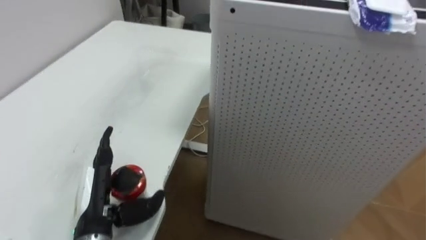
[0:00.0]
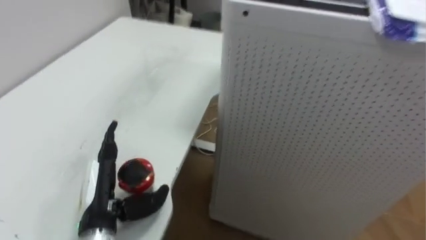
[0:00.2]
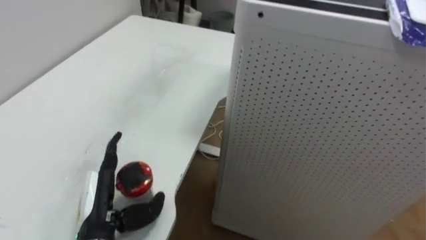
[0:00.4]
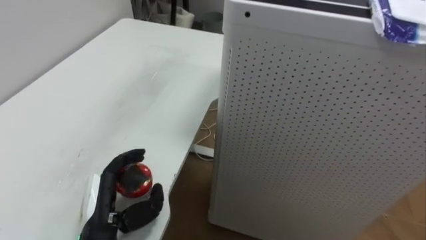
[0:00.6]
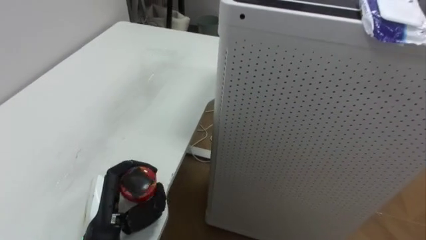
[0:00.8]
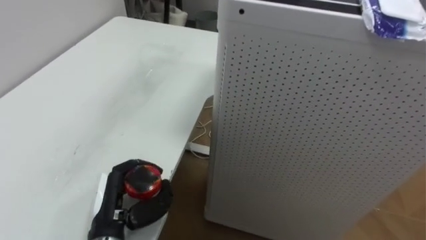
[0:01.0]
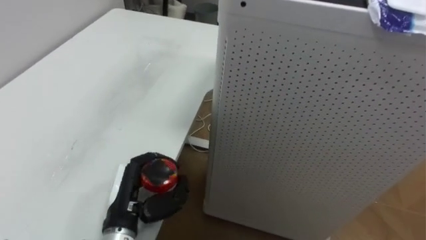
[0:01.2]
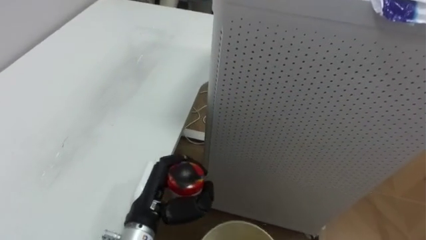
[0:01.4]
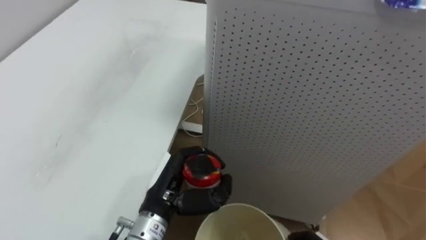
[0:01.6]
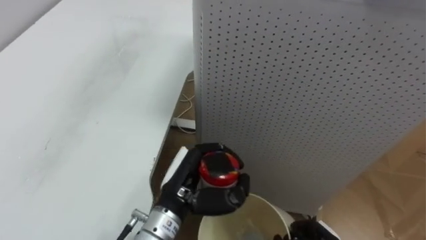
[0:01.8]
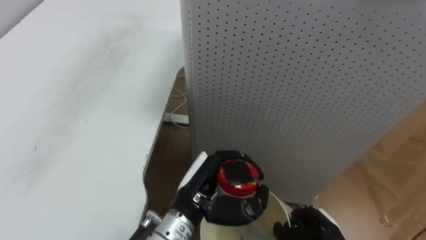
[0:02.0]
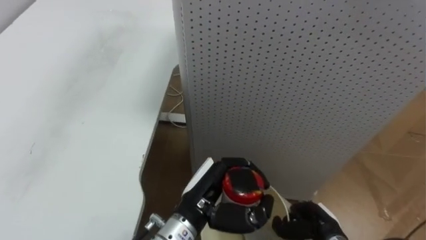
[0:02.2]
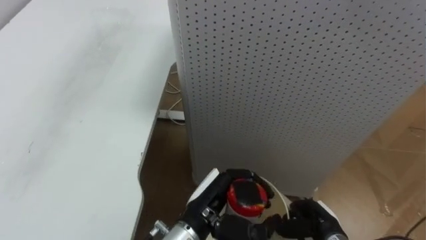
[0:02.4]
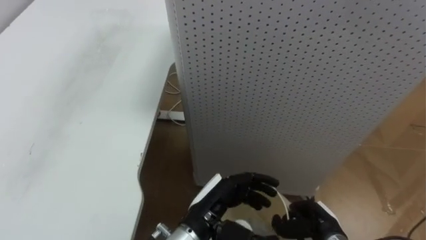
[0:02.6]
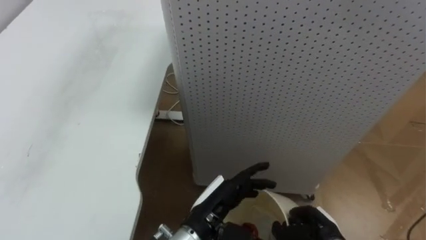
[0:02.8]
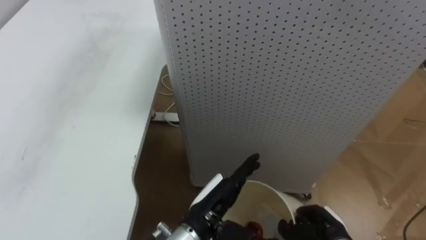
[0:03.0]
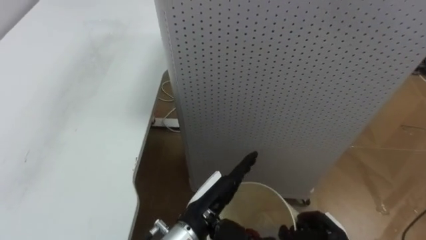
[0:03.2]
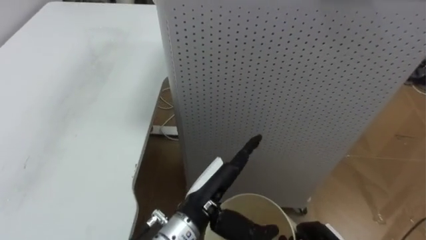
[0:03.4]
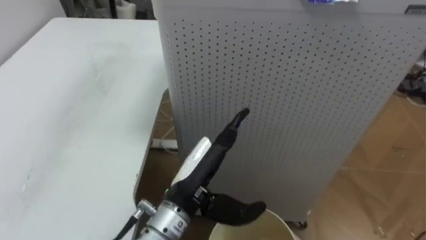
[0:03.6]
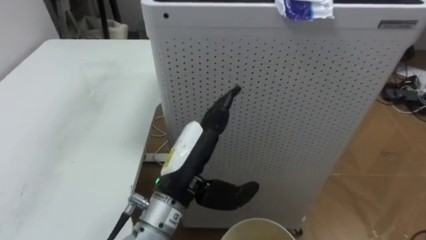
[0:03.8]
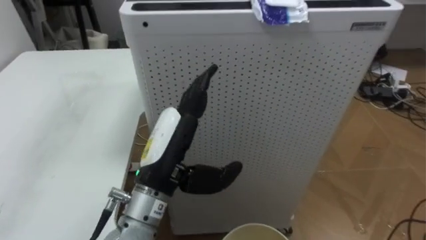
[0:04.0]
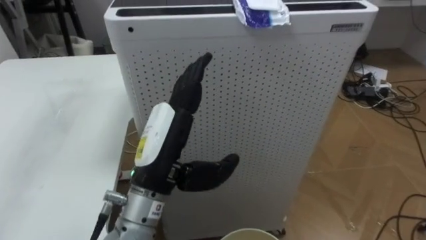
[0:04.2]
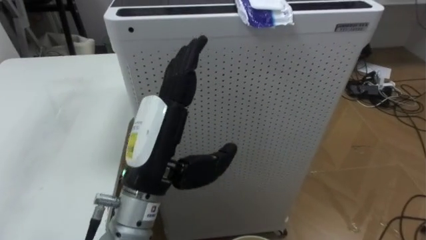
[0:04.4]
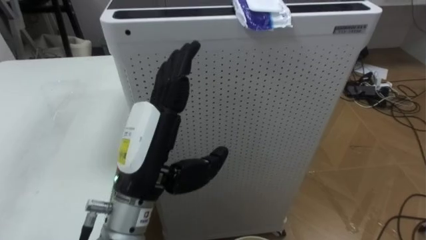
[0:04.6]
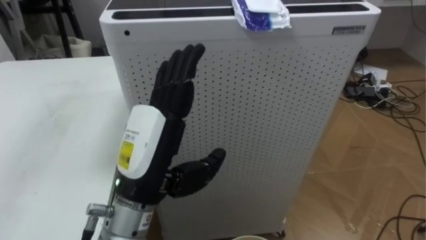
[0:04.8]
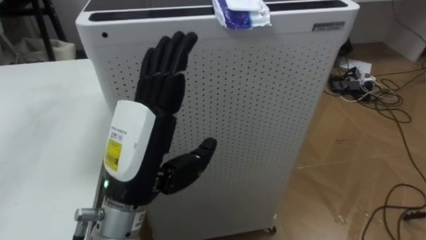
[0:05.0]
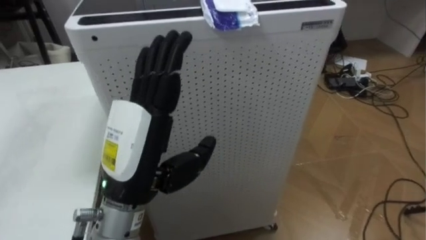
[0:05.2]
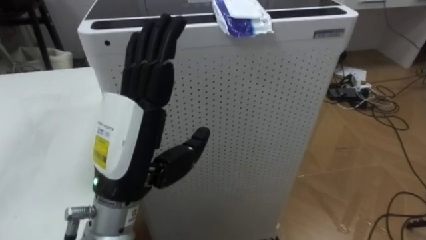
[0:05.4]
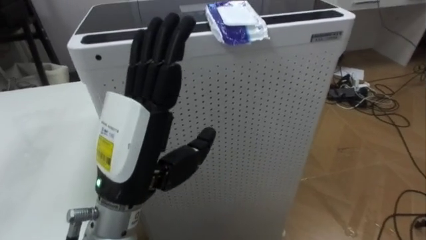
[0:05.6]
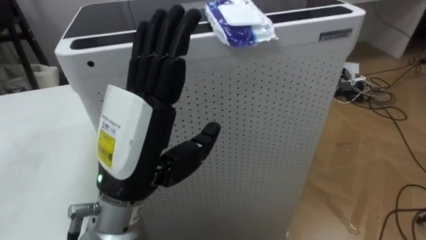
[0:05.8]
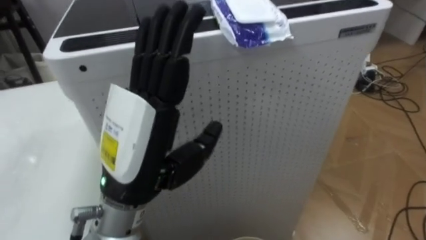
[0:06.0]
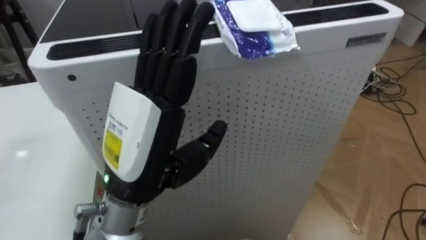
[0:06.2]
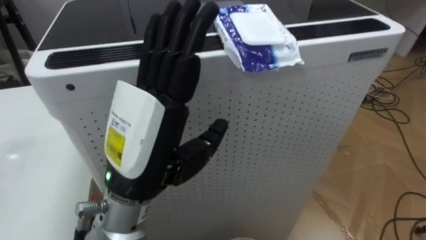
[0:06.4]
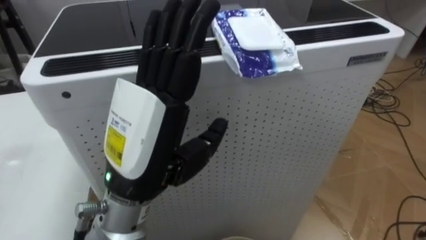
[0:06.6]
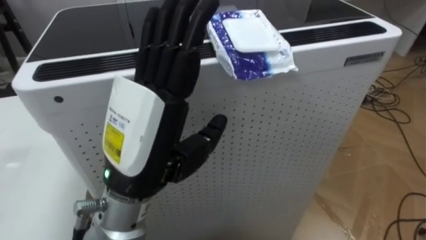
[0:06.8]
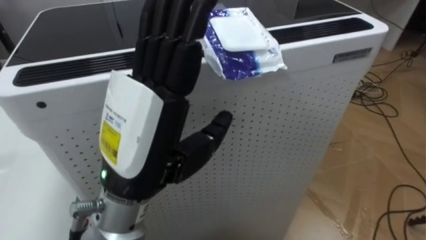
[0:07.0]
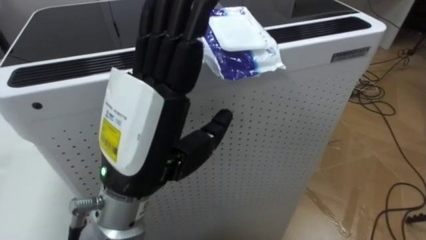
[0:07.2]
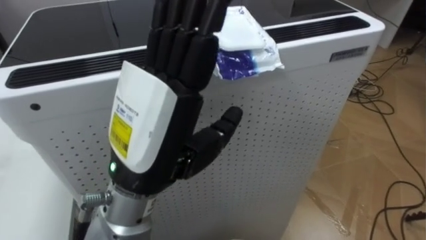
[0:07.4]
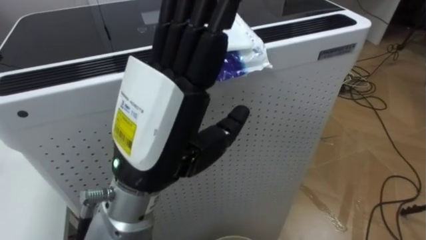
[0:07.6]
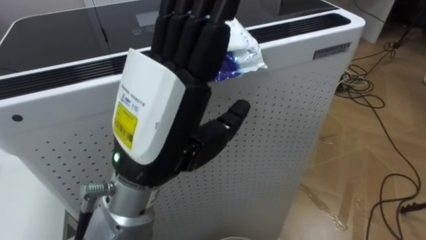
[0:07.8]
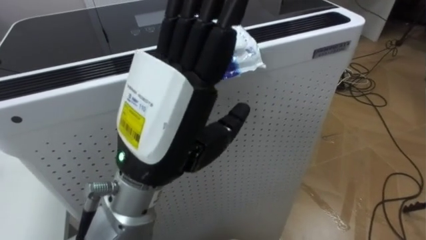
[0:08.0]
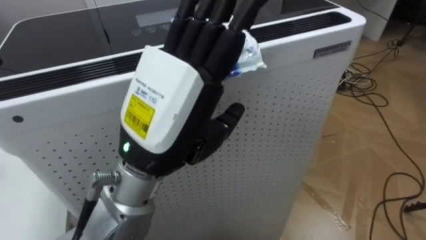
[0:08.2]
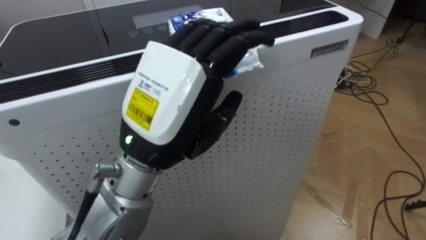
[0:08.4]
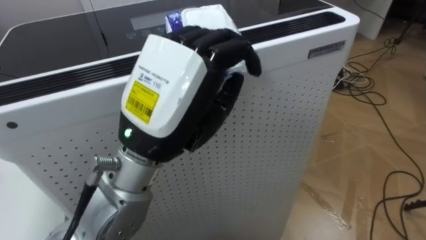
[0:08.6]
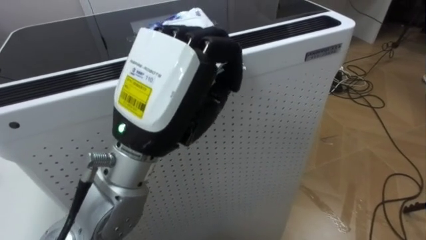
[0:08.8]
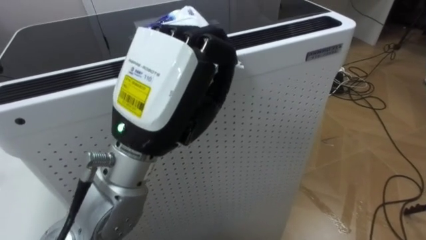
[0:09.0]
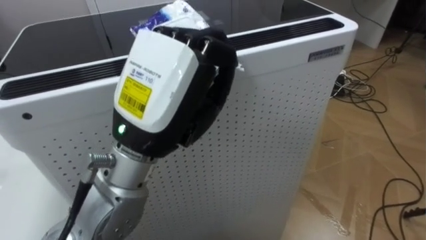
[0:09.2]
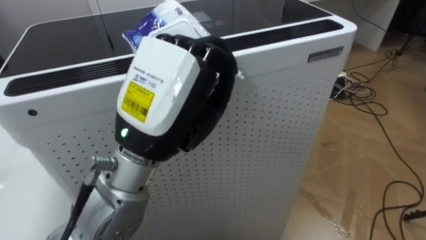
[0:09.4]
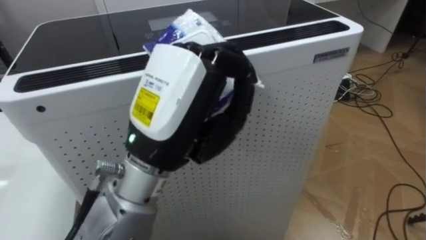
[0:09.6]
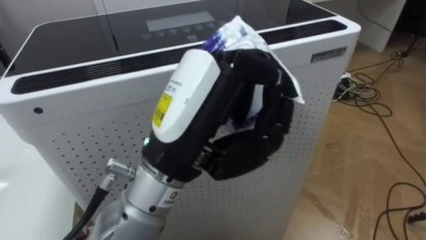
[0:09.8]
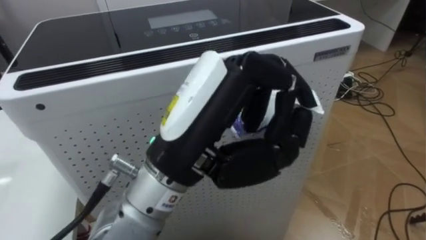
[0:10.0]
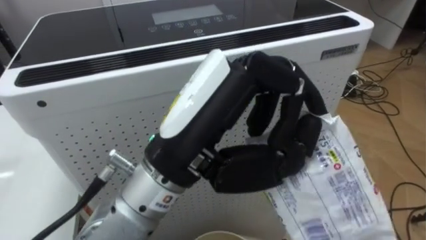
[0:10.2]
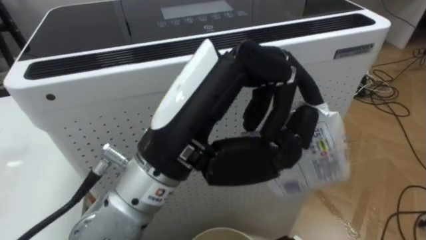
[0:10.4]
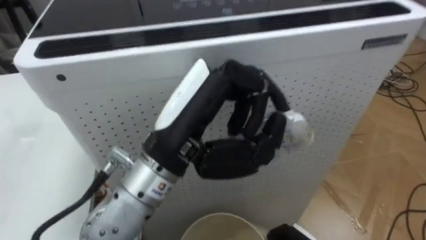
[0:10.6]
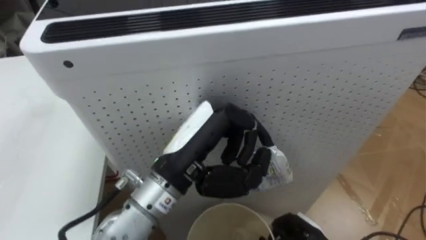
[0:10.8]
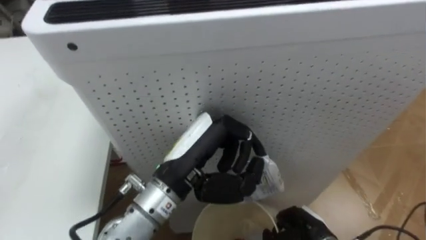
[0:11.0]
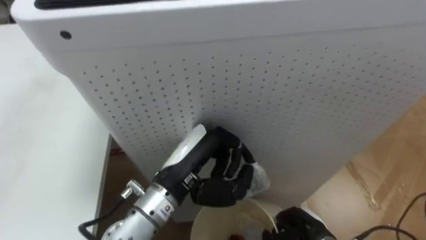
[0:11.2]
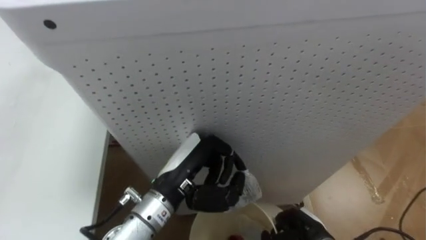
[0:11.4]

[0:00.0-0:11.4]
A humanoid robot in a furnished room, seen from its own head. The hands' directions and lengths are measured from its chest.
Task of the whole recording: Pick up the light blue package, the candy box, and the dark blue package separately, and put them into the trash can held in your right hand.
0:00.0 to 0:01.4: The left hand heads to the right, covering approximately 10 cm, and closes.
0:01.4 to 0:02.8: The left hand moves to the right, approximately 10 cm, and opens up.
0:02.8 to 0:04.2: The left hand heads upward and to the left, covering roughly 15 cm.
0:04.2 to 0:05.6: The left hand changes place by some 5 cm.
0:07.2 to 0:08.6: The left hand closes.
0:08.6 to 0:10.0: The left hand closes.
0:10.0 to 0:11.4: The left hand goes some 20 cm downward and forward.

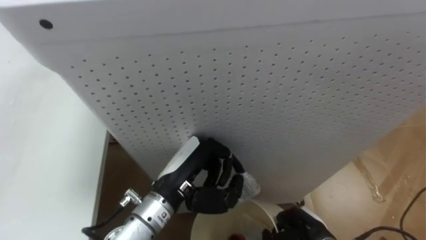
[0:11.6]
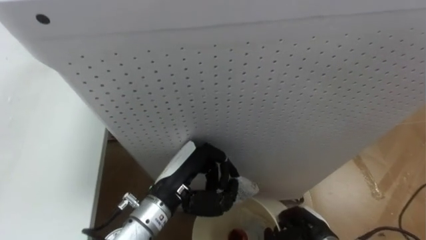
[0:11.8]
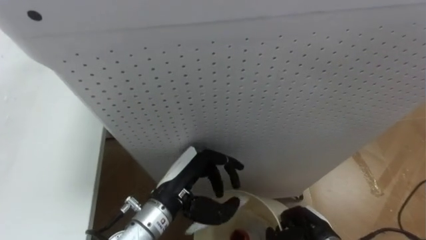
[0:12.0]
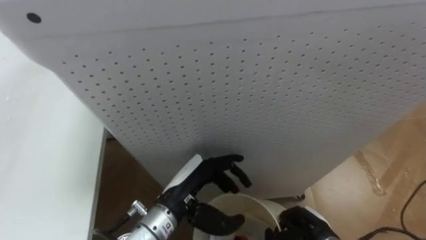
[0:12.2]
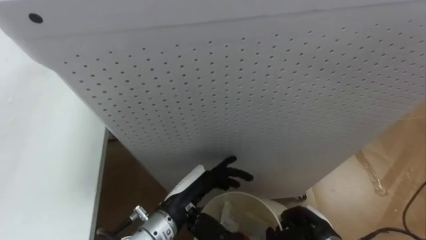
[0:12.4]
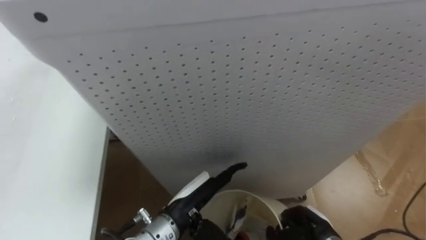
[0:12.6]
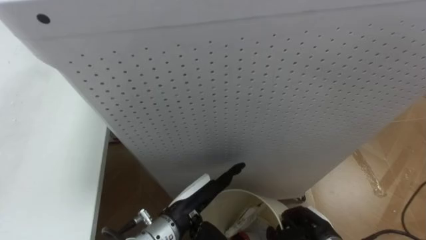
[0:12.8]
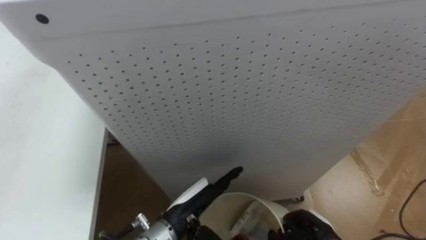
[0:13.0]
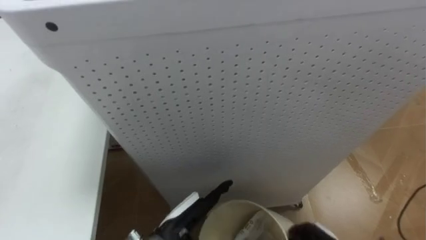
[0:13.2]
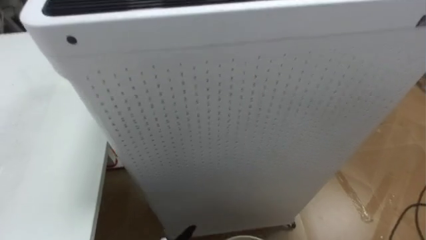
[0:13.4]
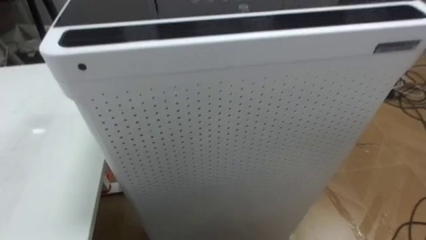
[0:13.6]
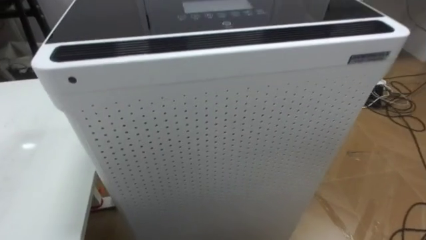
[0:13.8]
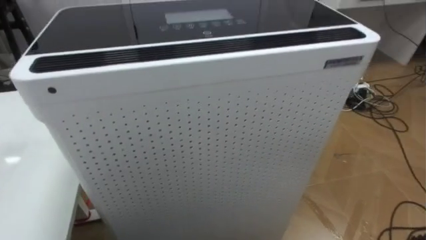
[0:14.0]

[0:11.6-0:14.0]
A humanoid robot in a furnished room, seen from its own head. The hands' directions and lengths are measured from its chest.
Task of the whole recording: Pick up the light blue package, the candy box, and the dark blue package separately, and put them into the trash can held in your right hand.
0:11.6 to 0:12.8: The left hand shifts about 5 cm downward, and opens up.

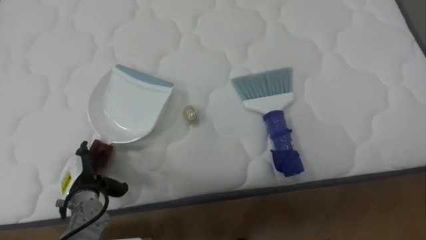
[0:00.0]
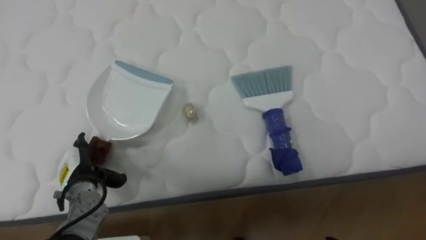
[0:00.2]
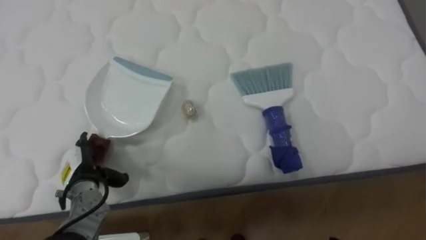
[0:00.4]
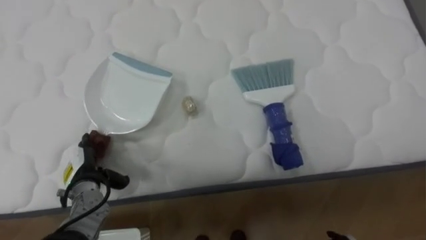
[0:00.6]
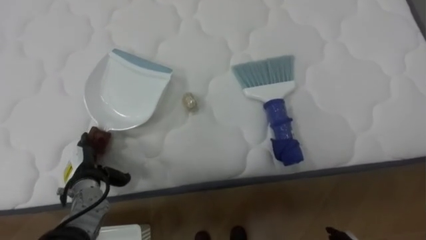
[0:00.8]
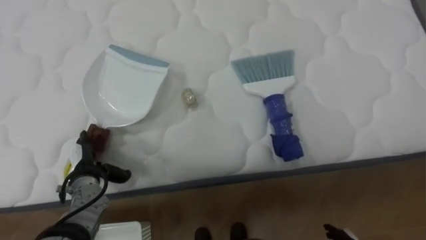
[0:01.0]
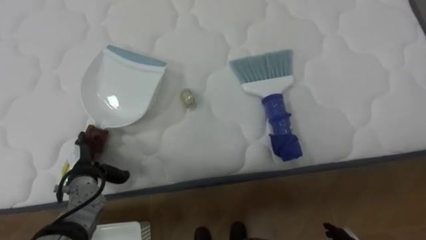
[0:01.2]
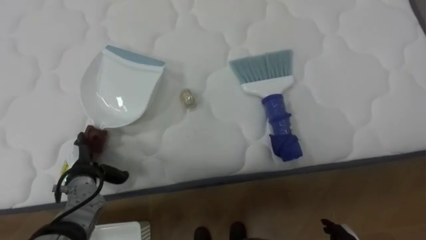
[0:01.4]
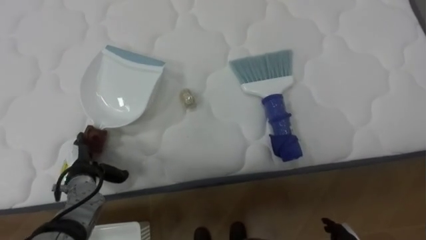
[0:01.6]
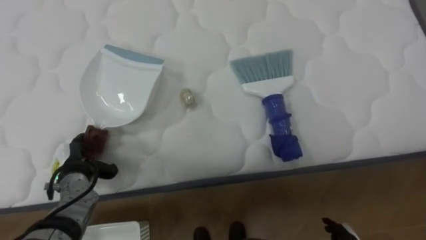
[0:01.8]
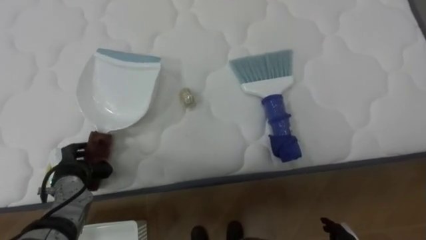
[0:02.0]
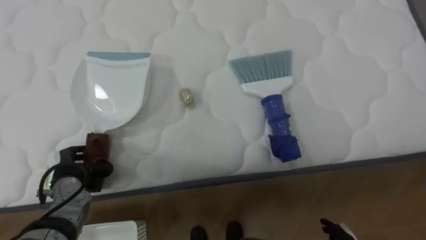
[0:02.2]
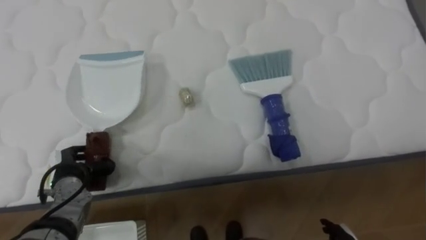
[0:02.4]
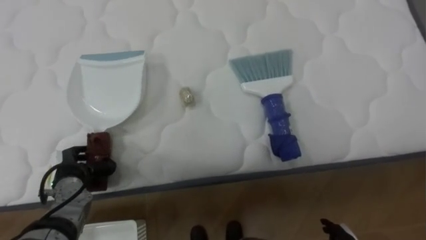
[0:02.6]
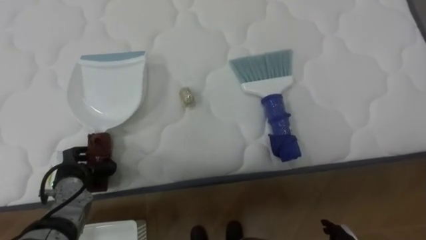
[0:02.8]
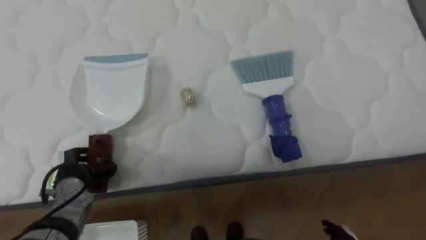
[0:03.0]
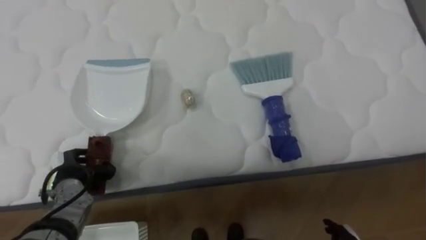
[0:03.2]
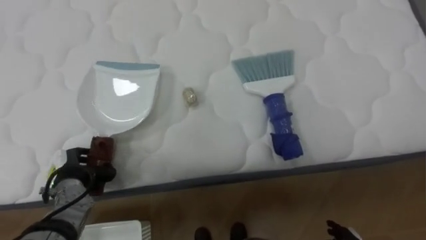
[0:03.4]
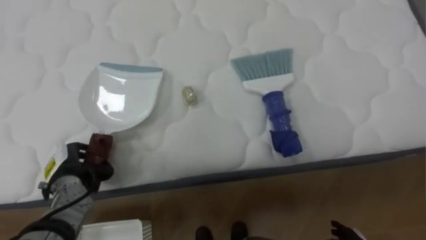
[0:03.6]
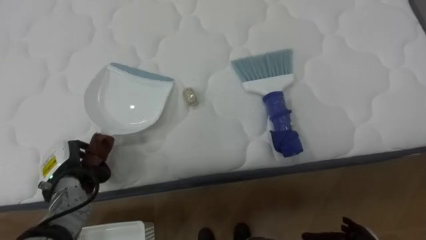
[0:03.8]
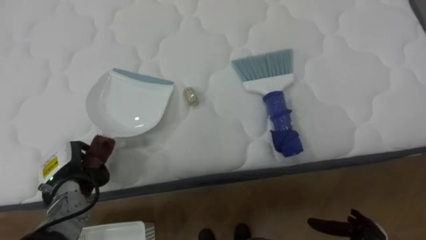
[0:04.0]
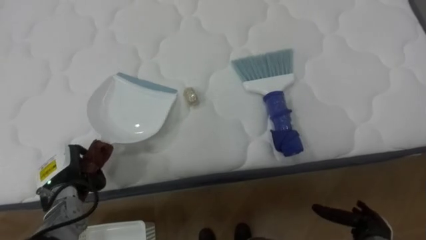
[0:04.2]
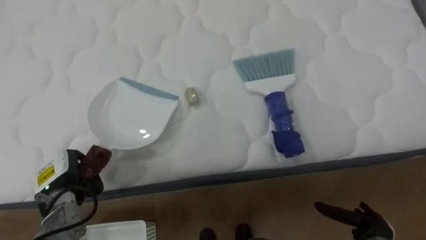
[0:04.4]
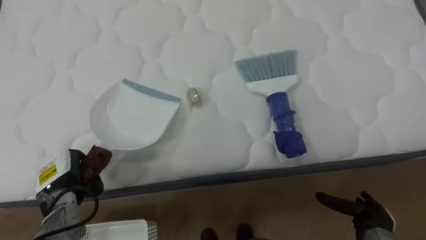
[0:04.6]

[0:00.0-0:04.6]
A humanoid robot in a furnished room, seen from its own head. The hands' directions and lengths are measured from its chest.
Task of the whole recording: Pick up the brush on your right and the dustpan on your left. Use the brush to sweep the crumpled paper on the bed into the dustpan, then turn left and empty it into the basket.
0:01.6 to 0:03.0: The left hand closes its fingers.
